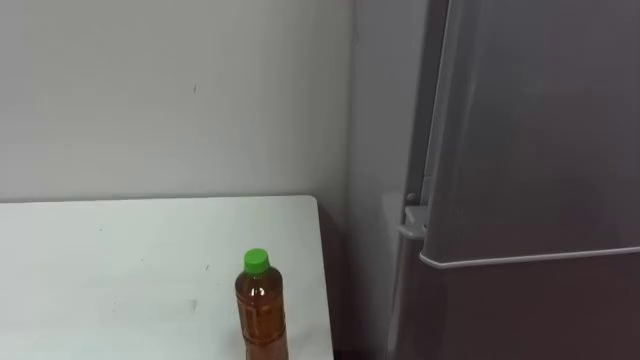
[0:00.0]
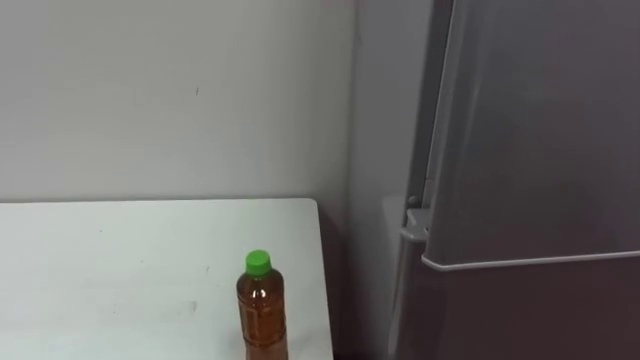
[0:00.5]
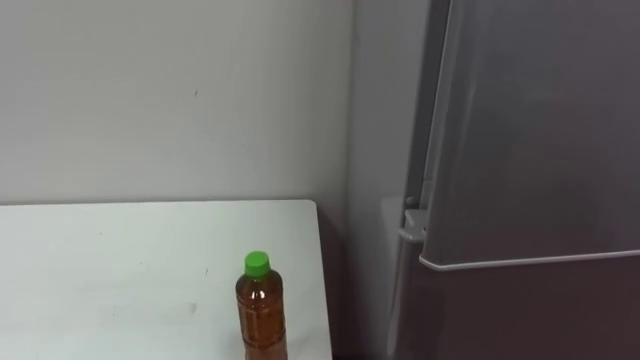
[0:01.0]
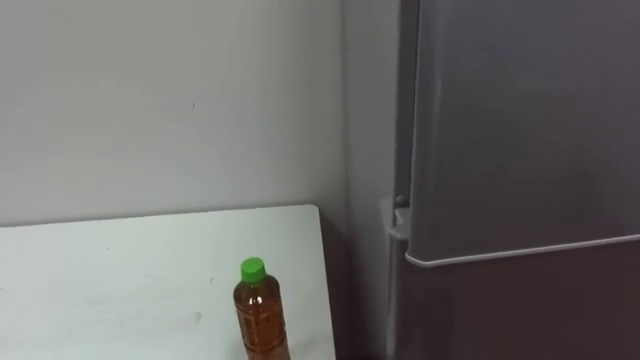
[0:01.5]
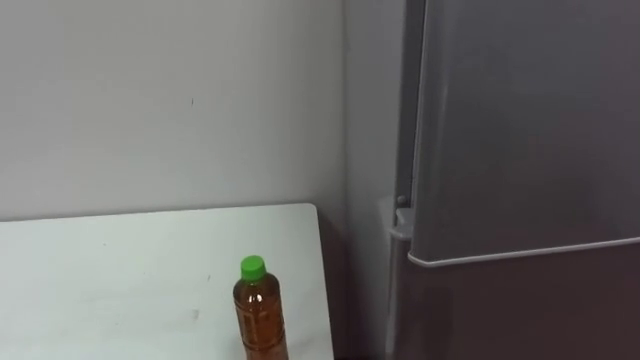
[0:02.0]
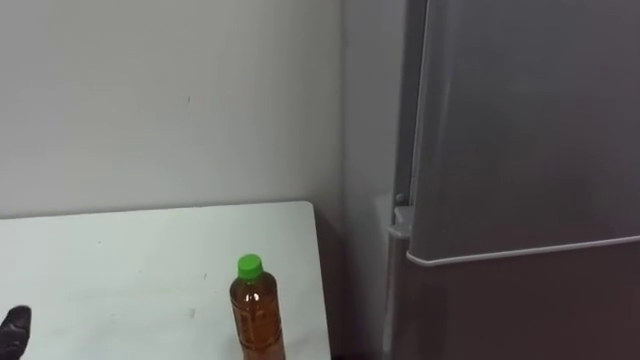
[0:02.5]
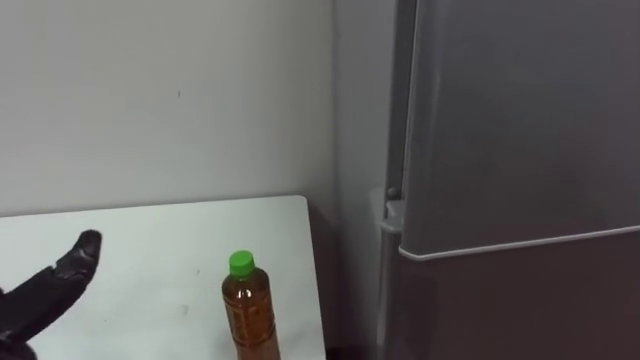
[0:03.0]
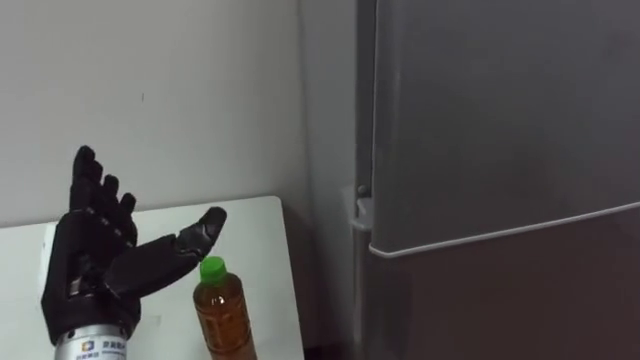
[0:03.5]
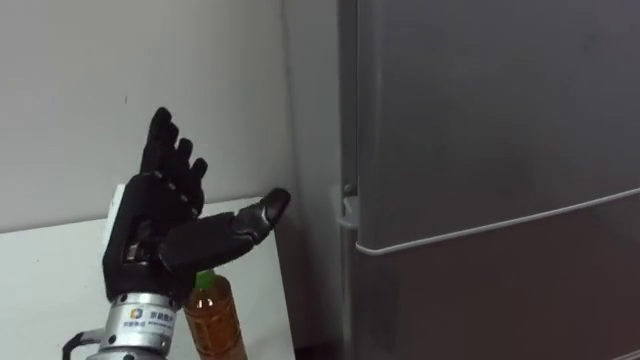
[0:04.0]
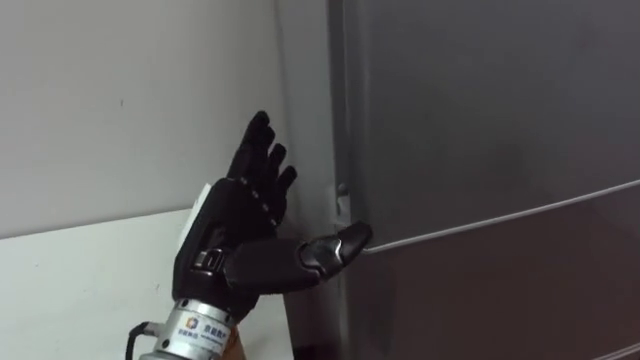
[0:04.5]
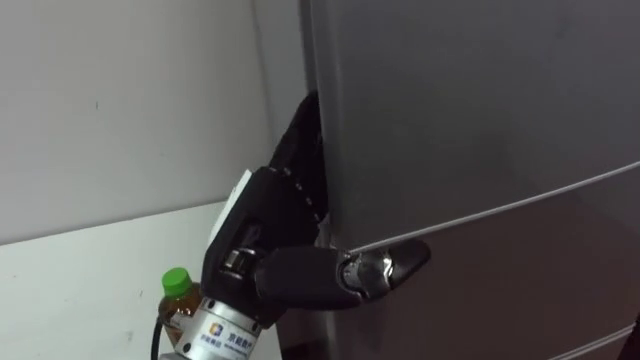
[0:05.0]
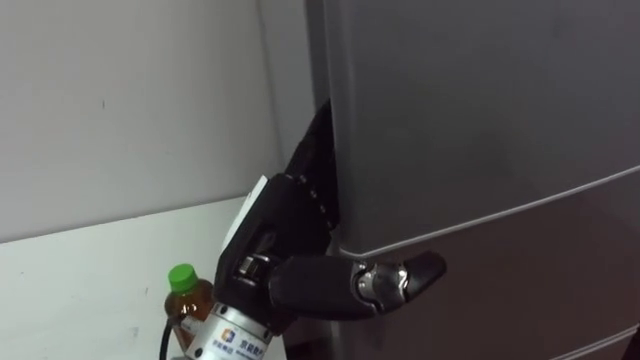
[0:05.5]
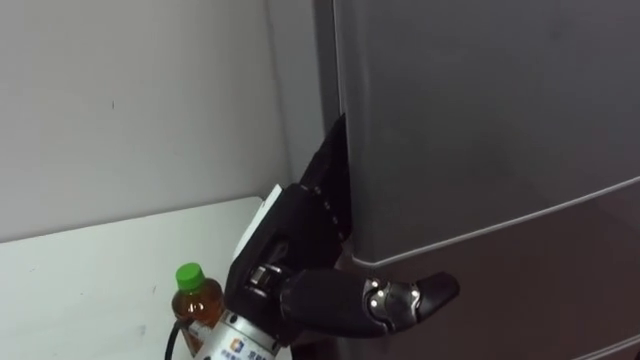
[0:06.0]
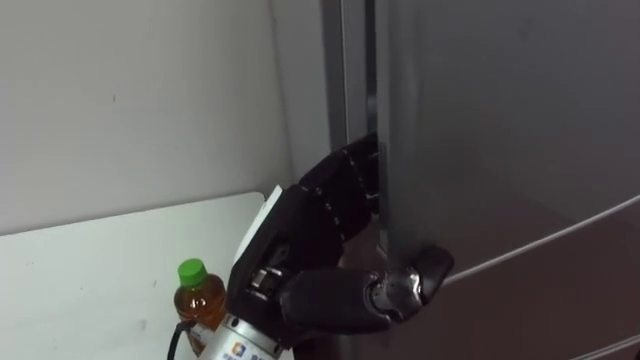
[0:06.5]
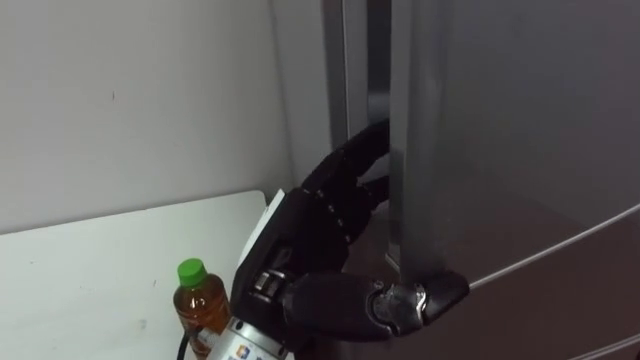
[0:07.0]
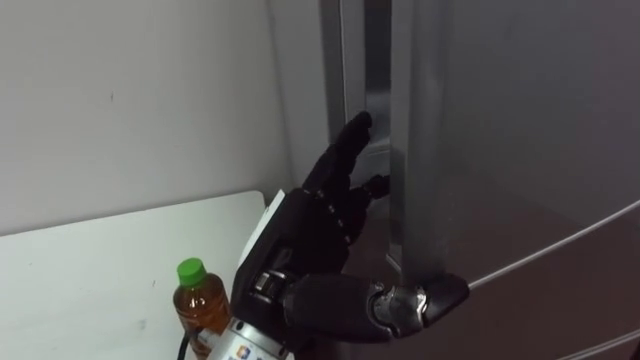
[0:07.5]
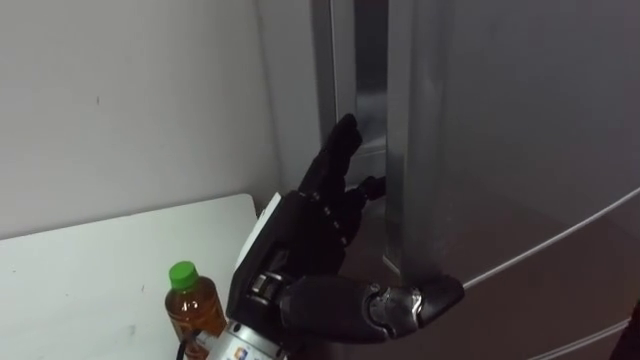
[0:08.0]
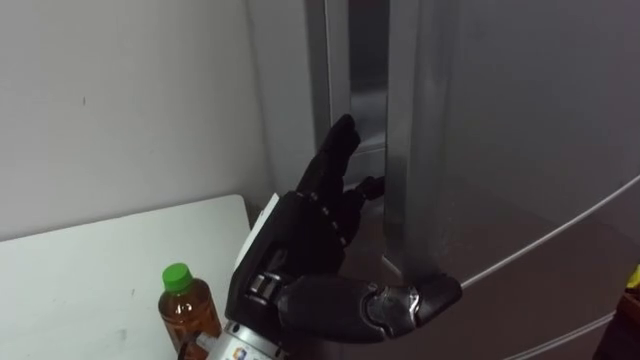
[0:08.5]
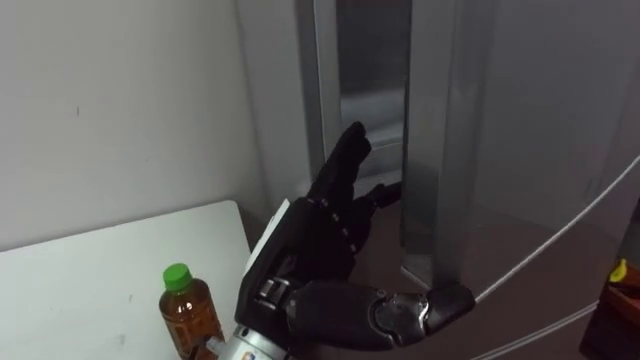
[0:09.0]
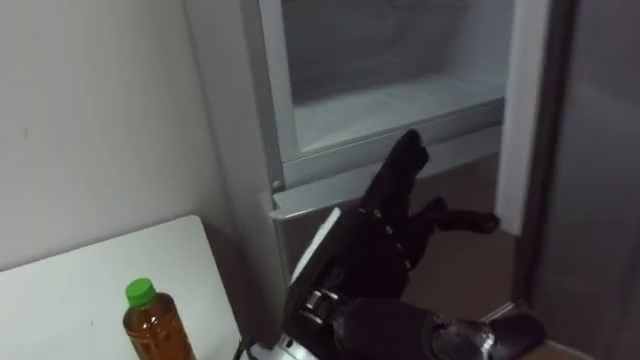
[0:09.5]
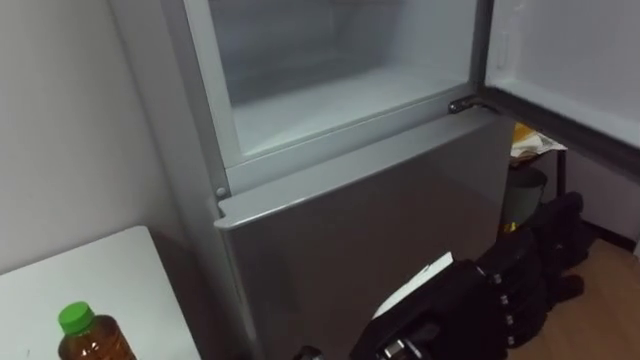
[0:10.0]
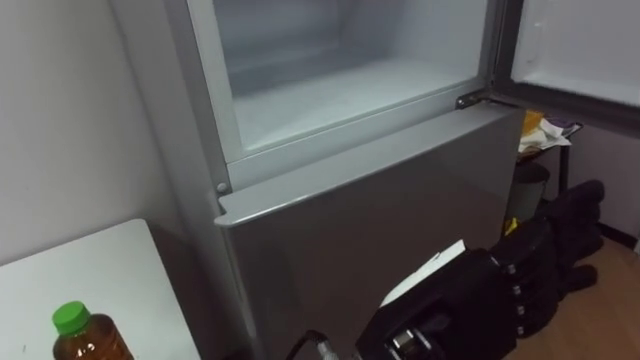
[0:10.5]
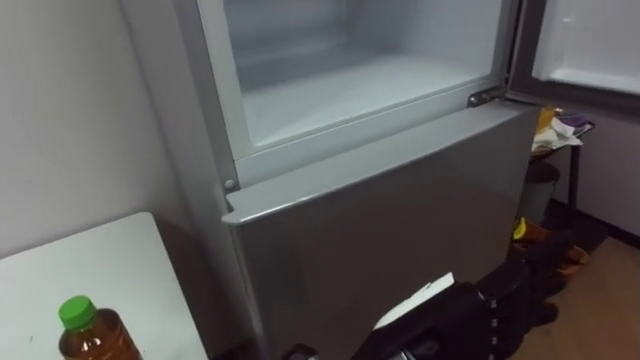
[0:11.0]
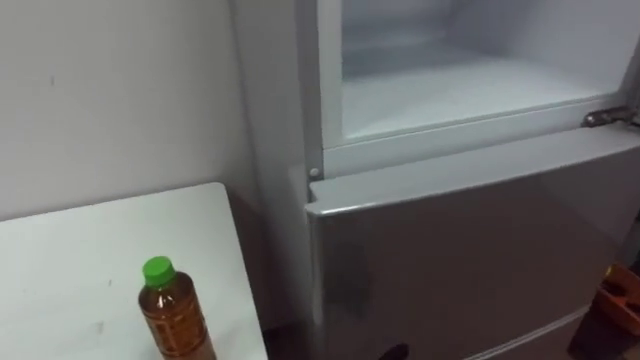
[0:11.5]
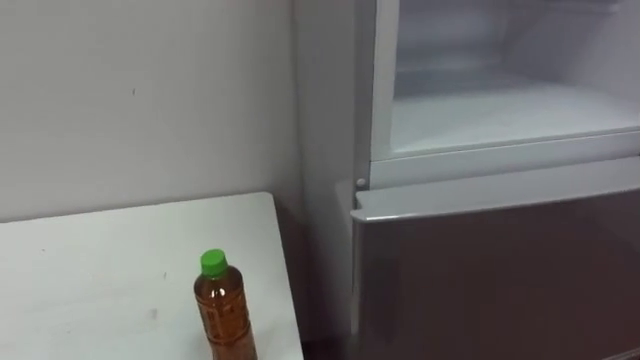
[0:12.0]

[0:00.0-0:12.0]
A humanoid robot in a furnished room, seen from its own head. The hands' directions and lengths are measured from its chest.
Task of the whole recording: Open the upper refrigerator door, put the drink from the table into the refrigerator, and then close the refrigerator door.
0:04.0 to 0:06.0: The left hand travels to the right by about 15 cm.
0:08.0 to 0:10.0: The left hand goes roughly 10 cm to the right and backward.

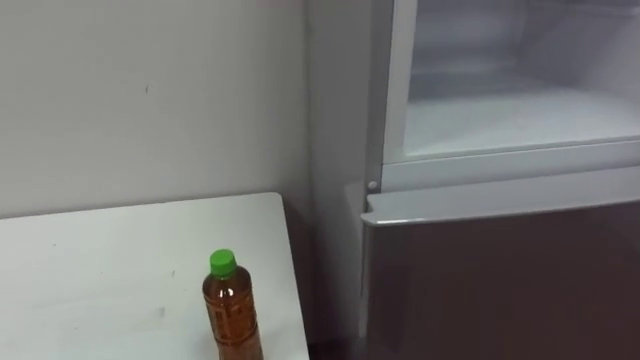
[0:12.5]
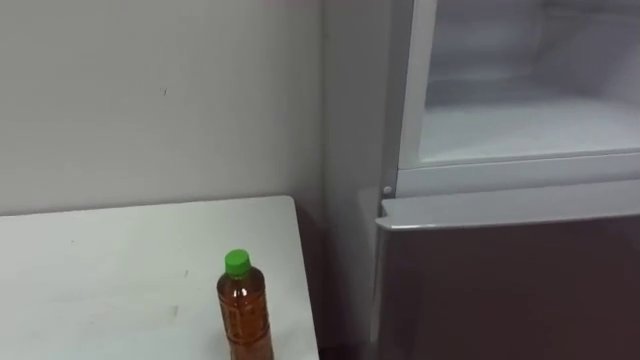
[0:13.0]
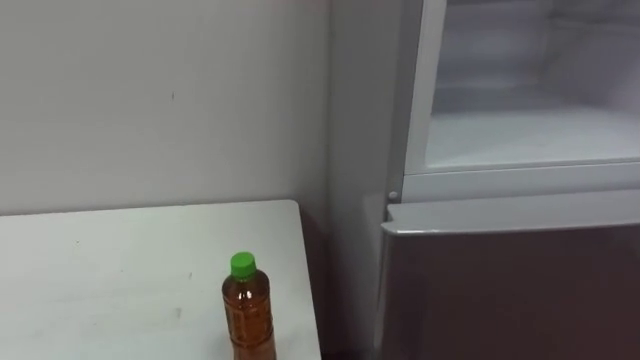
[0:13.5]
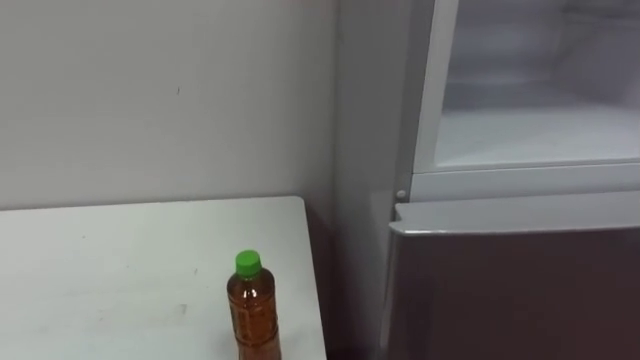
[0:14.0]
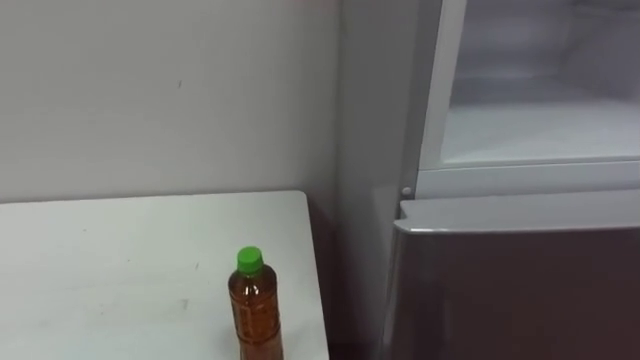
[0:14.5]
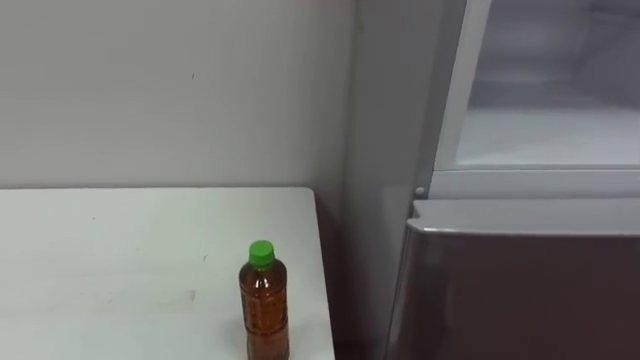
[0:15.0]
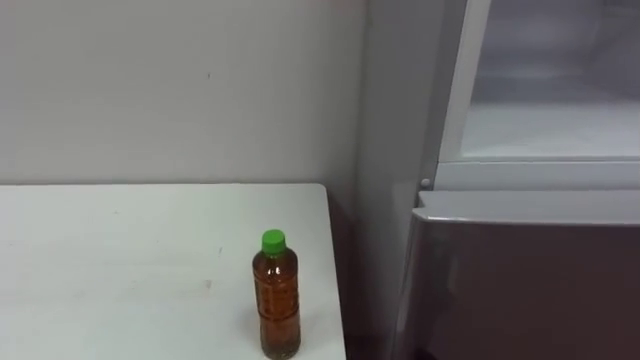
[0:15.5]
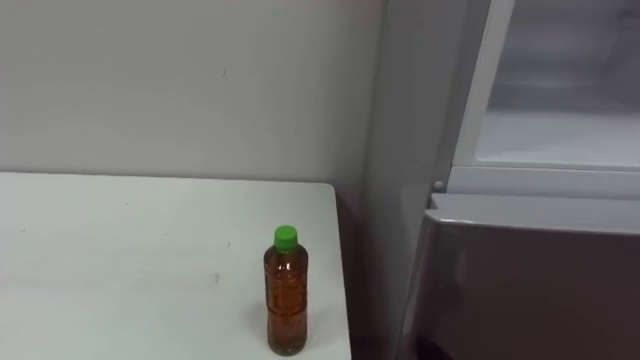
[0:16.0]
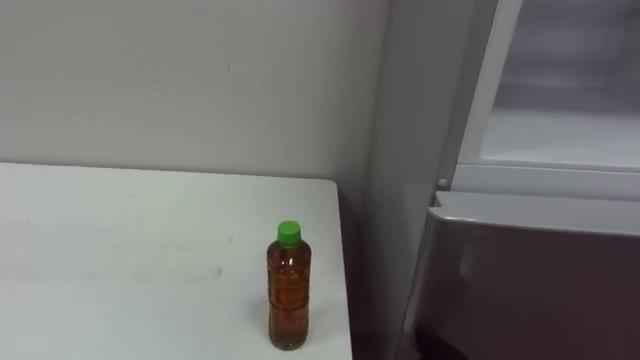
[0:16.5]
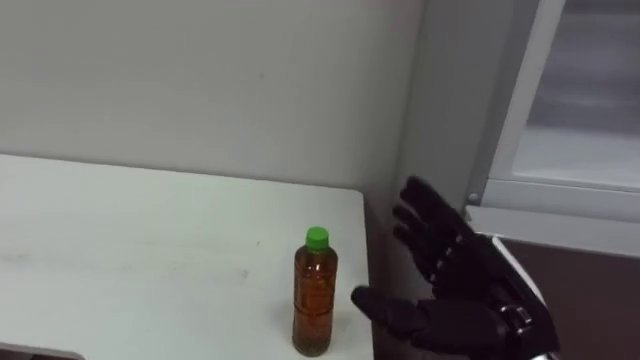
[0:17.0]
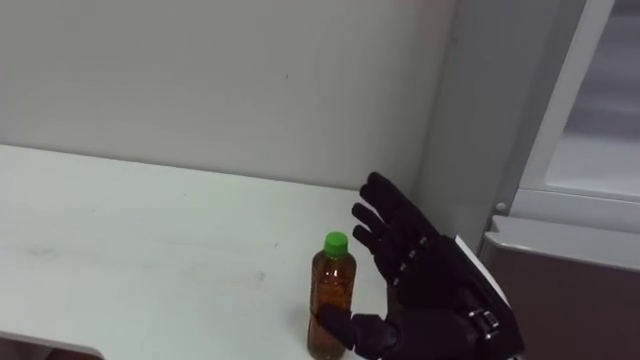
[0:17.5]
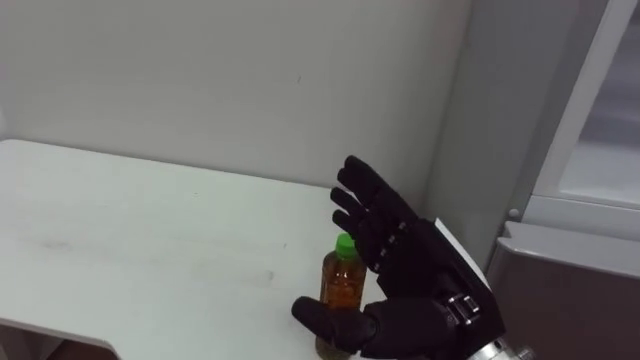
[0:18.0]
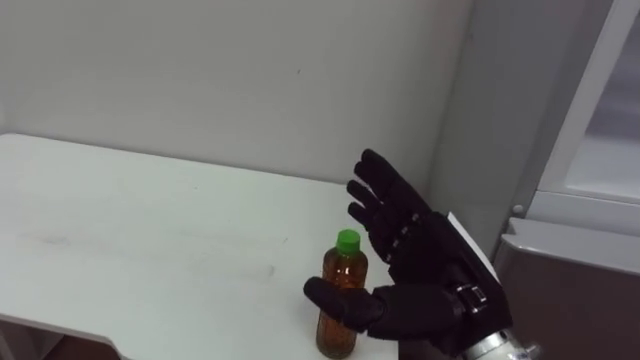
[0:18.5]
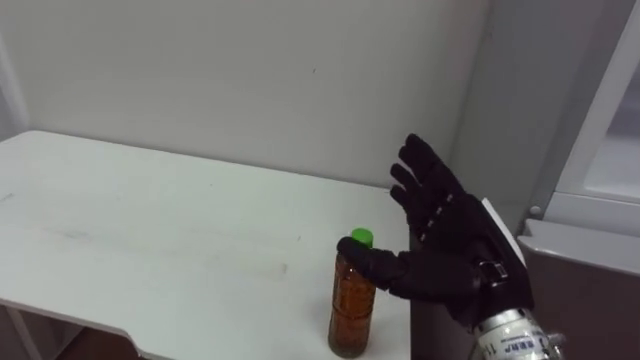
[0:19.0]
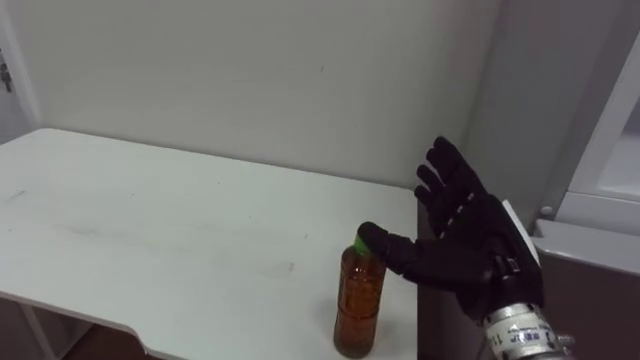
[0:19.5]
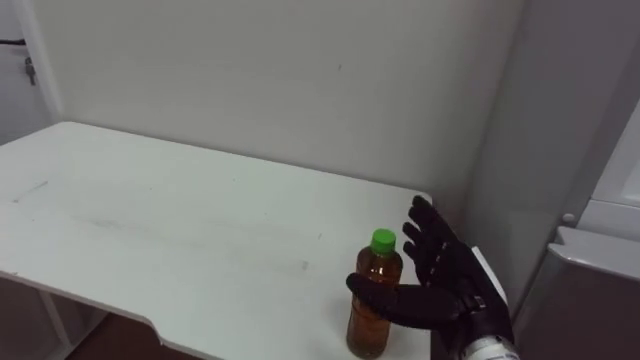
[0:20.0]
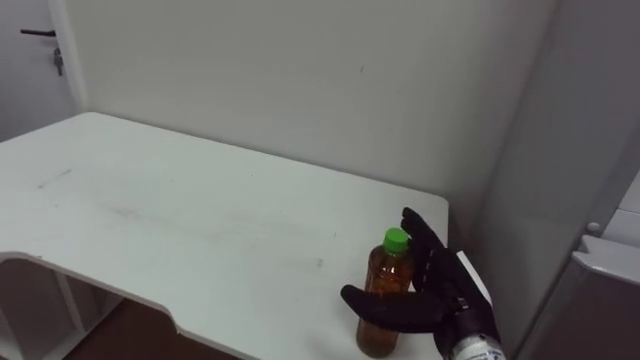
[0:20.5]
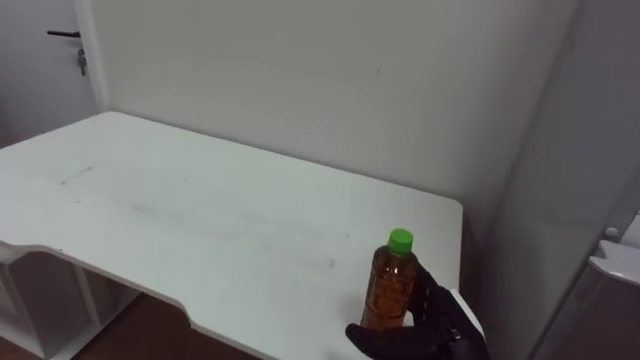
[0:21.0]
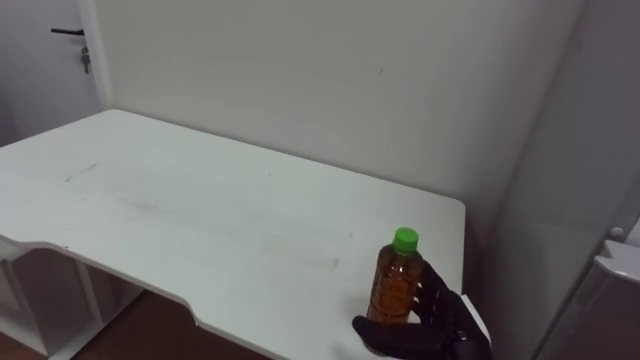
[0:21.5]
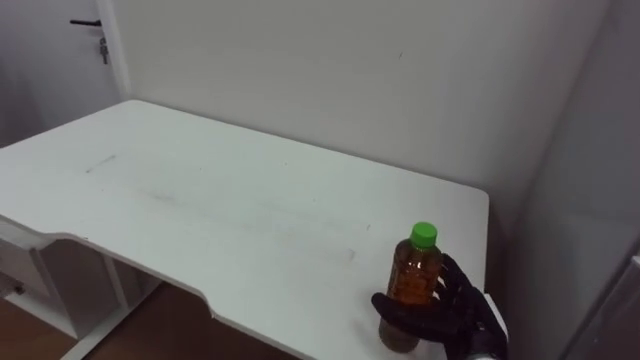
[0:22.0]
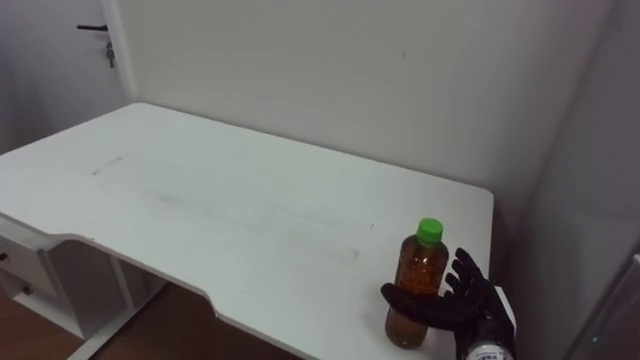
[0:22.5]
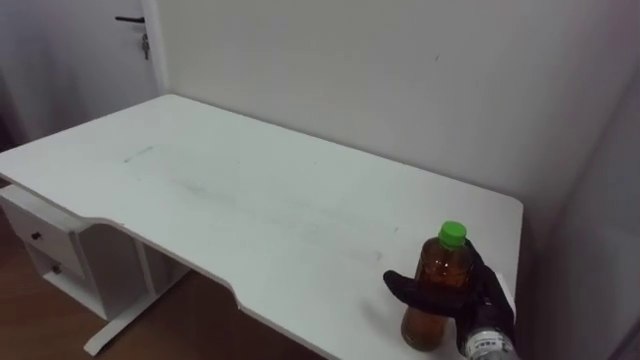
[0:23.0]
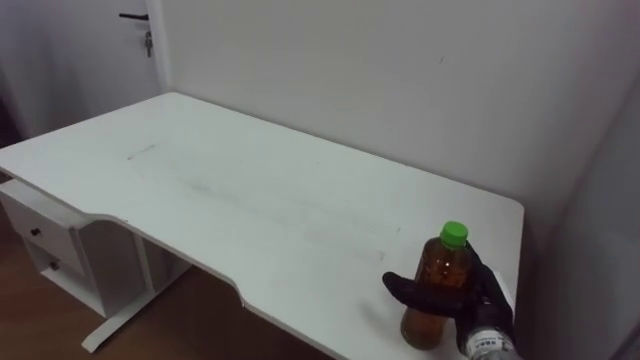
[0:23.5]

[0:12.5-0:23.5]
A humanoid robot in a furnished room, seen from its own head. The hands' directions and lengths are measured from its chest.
Task of the whole recording: Open the upper refrigerator door, put the drink from the table into the refrigerator, and then close the refrigerator door.
0:18.0 to 0:20.0: The right hand is displaced downward by approximately 5 cm.
0:20.0 to 0:21.5: The right hand is displaced downward by some 10 cm.
